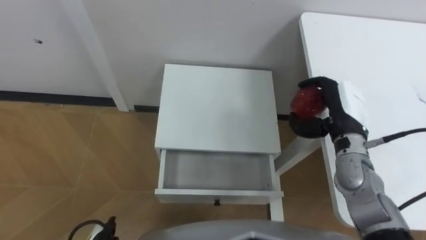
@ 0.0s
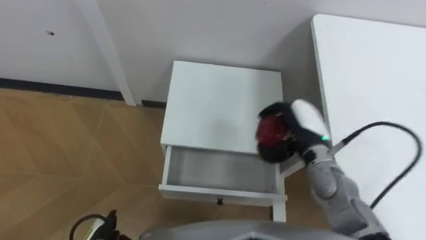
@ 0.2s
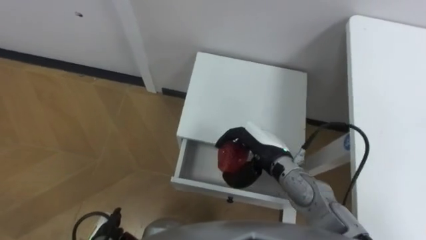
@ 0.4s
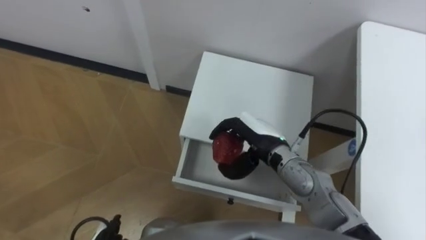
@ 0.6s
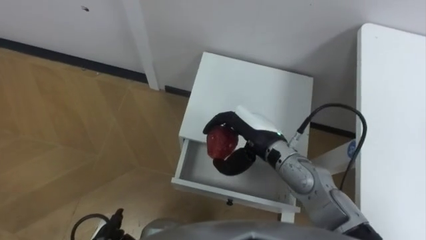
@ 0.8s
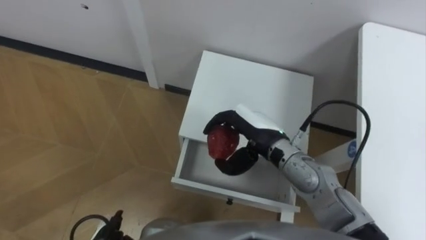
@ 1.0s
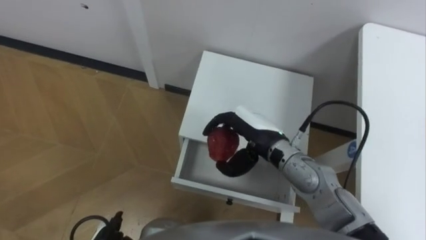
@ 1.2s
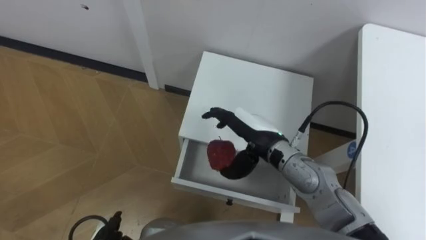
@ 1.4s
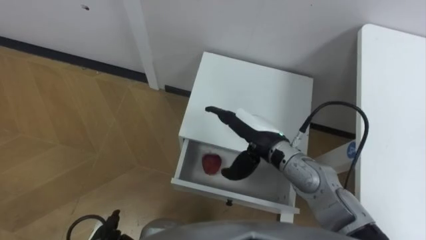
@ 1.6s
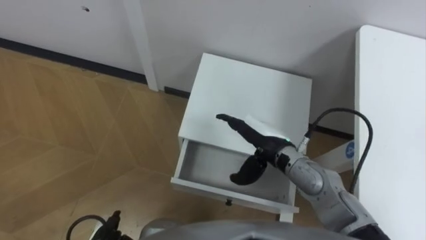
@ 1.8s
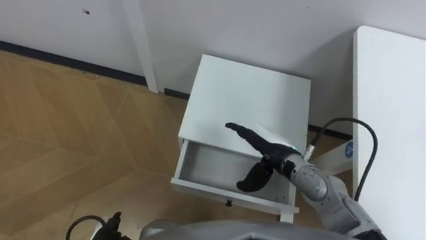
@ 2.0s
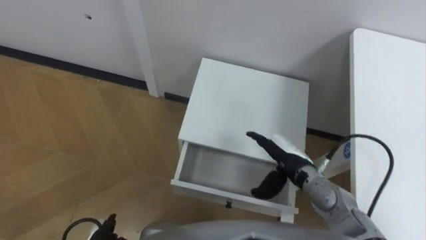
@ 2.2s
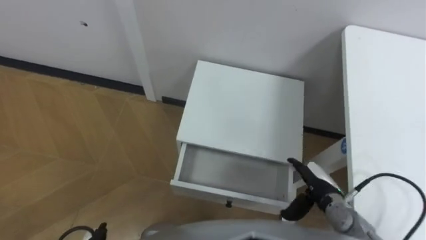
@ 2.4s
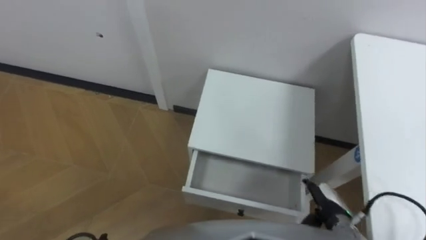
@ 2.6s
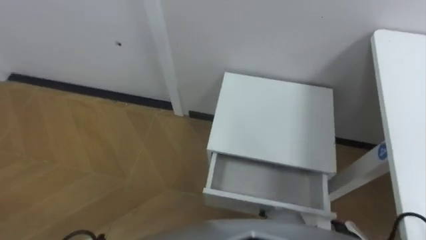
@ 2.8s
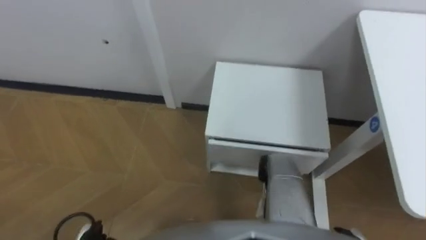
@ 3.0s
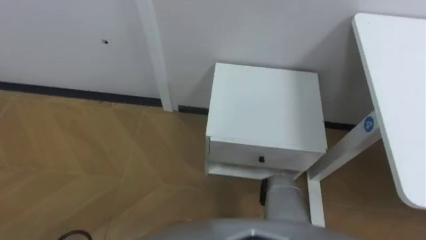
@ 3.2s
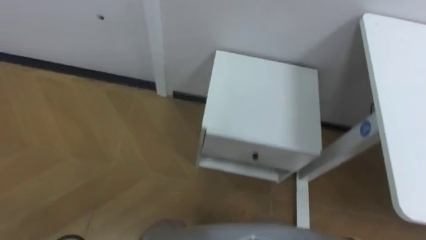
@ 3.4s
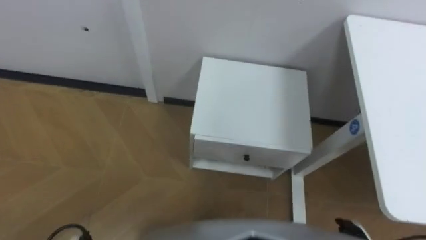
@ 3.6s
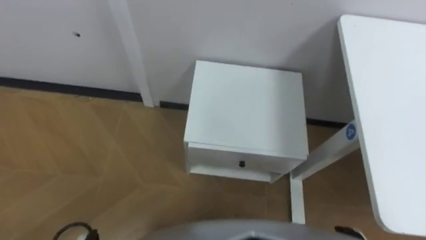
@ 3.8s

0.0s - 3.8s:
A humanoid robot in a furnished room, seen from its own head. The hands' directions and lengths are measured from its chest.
Task of the whole recording: Pick up the apple from the table, put it in the drawer, and close the drawer with leg.
0.0s - 1.2s: The right hand travels to the left by approximately 15 cm.
1.2s - 2.6s: The right hand travels to the right, downward and backward by roughly 25 cm.

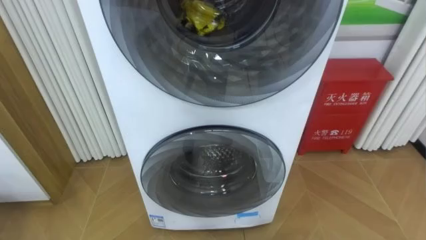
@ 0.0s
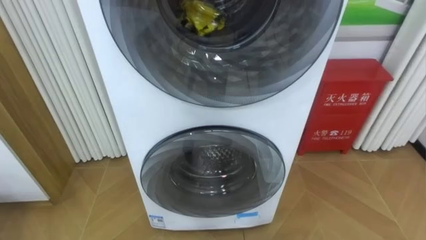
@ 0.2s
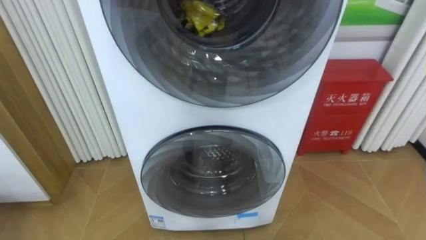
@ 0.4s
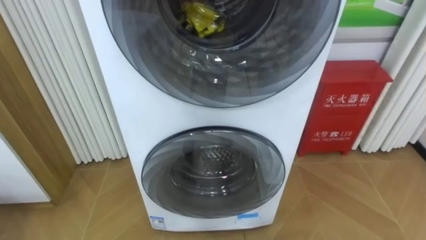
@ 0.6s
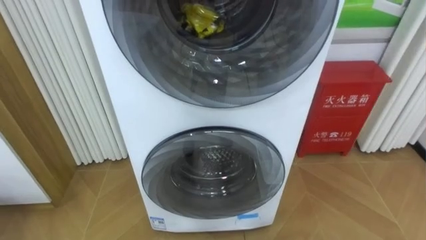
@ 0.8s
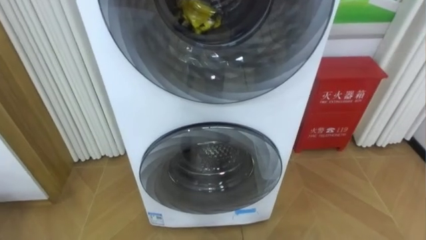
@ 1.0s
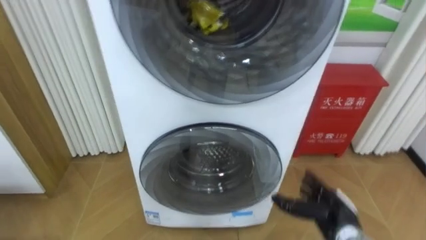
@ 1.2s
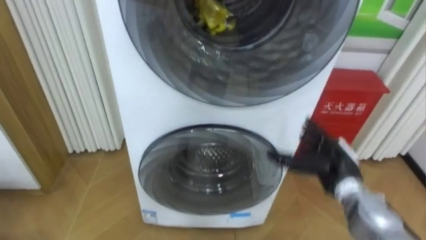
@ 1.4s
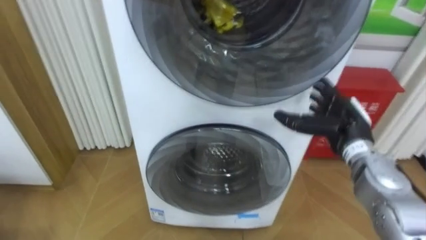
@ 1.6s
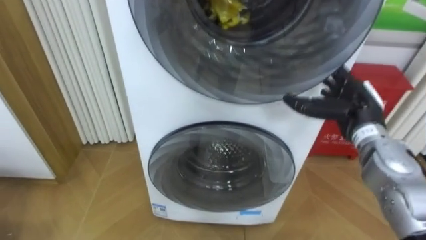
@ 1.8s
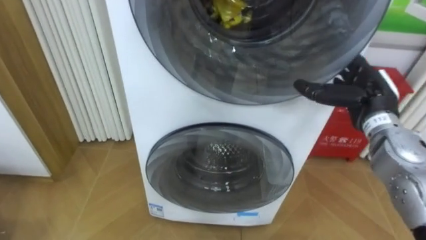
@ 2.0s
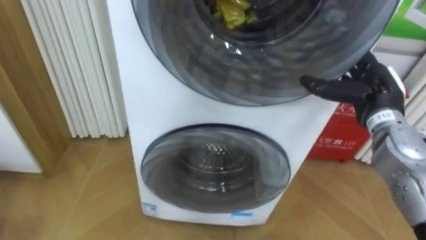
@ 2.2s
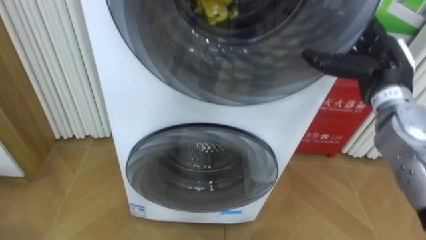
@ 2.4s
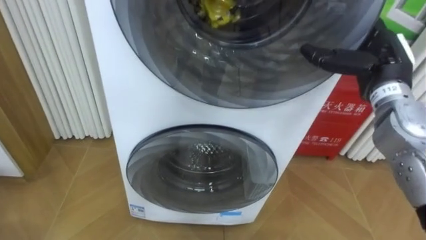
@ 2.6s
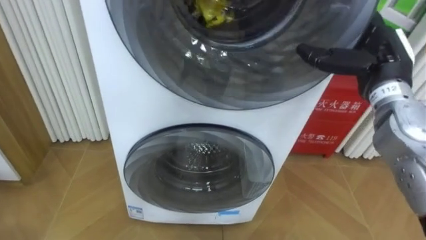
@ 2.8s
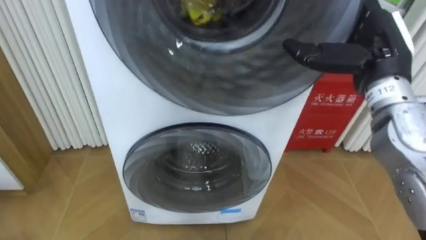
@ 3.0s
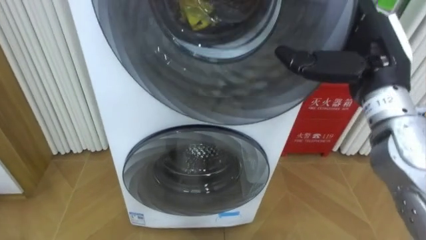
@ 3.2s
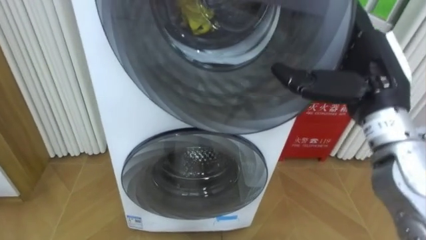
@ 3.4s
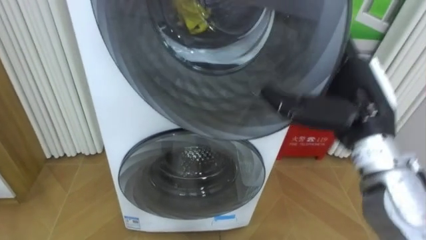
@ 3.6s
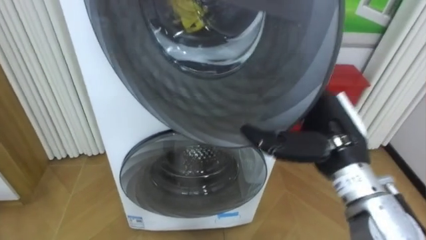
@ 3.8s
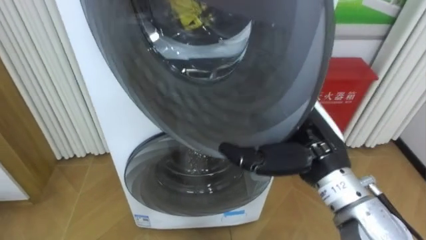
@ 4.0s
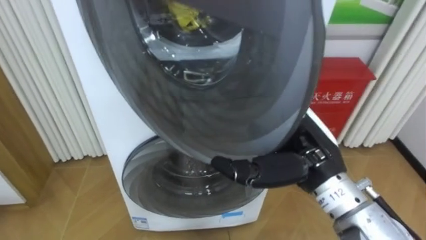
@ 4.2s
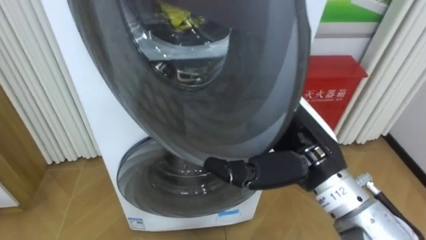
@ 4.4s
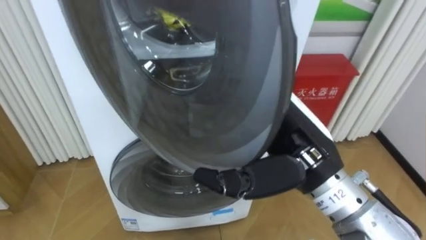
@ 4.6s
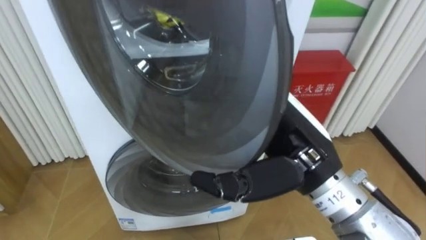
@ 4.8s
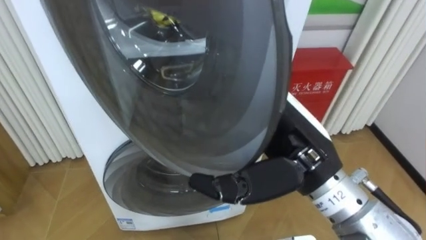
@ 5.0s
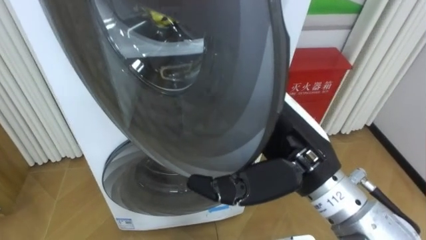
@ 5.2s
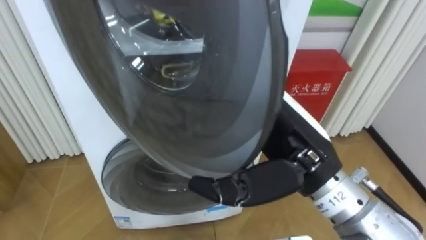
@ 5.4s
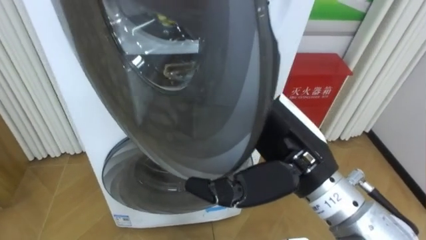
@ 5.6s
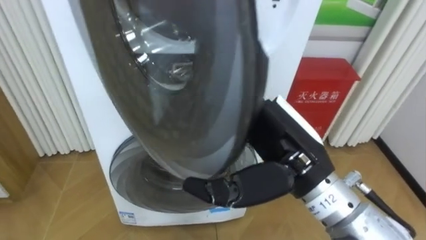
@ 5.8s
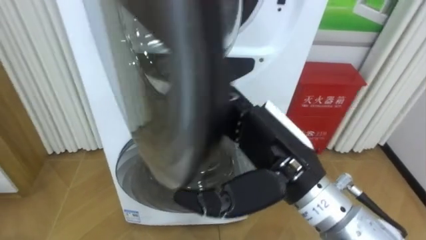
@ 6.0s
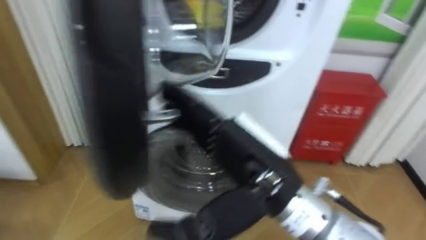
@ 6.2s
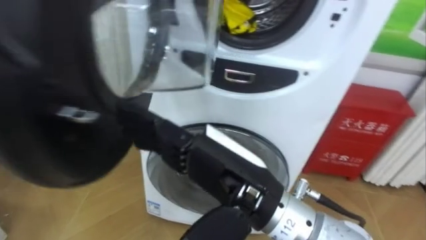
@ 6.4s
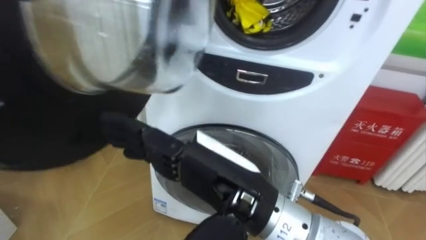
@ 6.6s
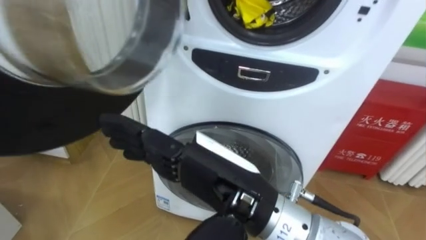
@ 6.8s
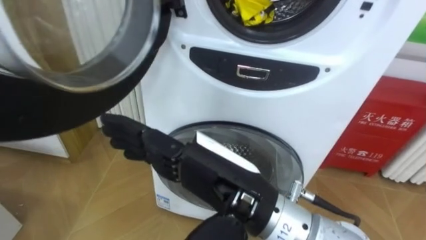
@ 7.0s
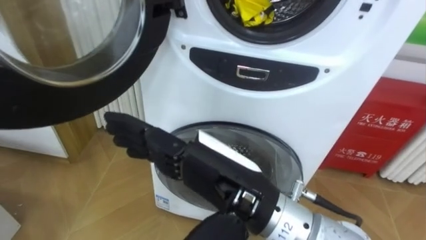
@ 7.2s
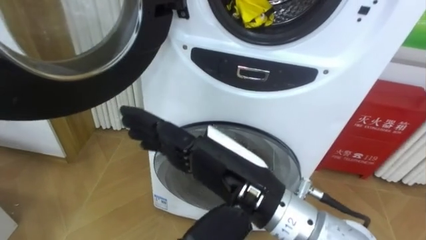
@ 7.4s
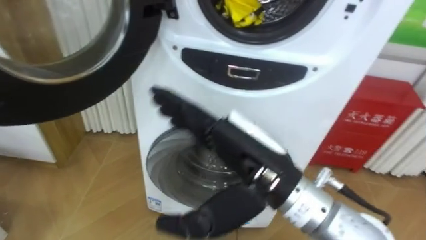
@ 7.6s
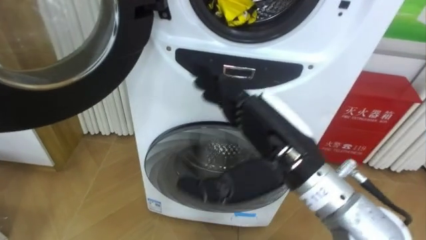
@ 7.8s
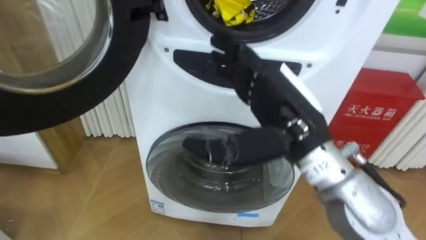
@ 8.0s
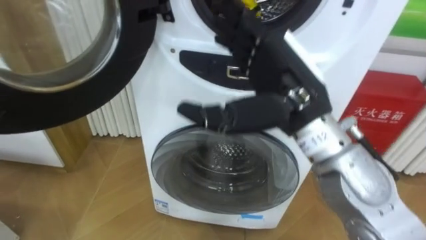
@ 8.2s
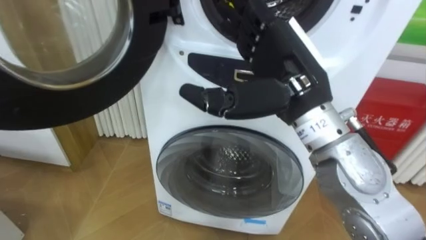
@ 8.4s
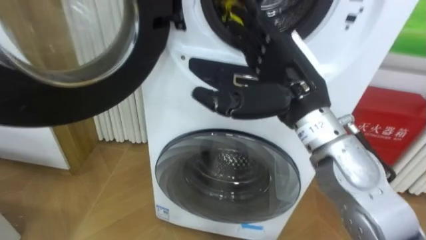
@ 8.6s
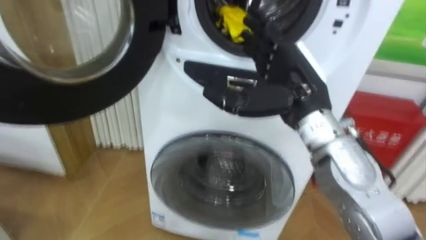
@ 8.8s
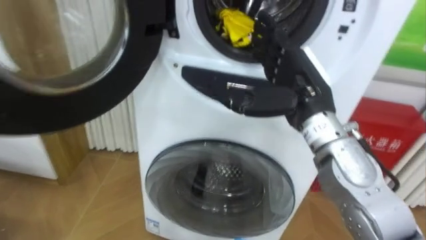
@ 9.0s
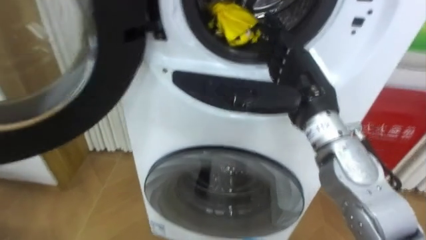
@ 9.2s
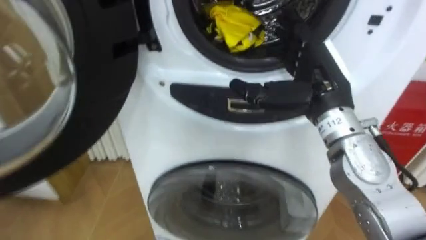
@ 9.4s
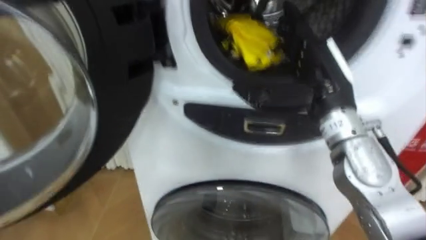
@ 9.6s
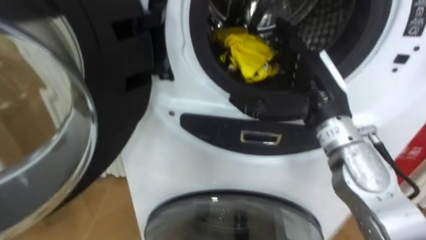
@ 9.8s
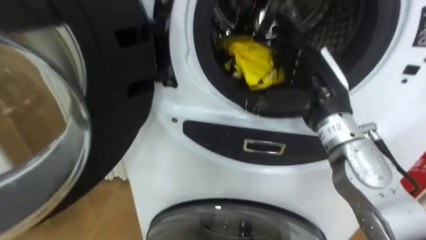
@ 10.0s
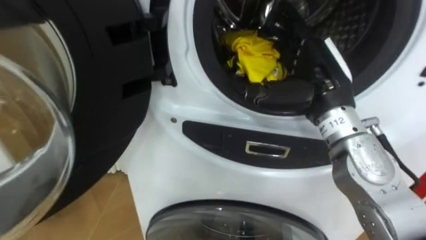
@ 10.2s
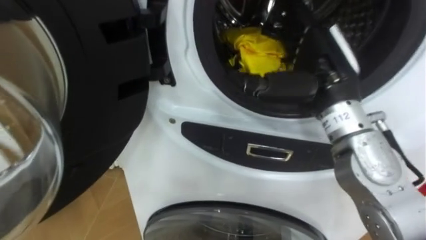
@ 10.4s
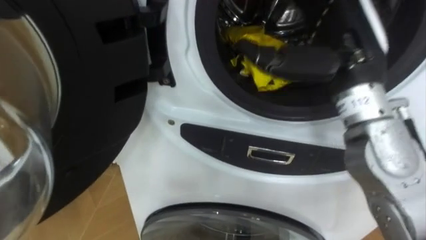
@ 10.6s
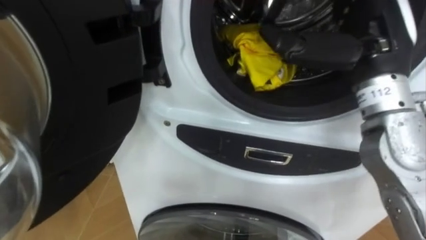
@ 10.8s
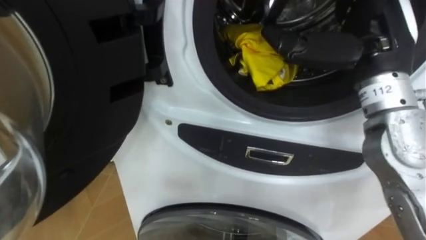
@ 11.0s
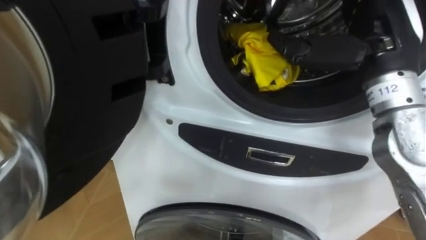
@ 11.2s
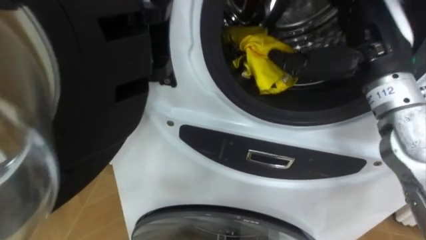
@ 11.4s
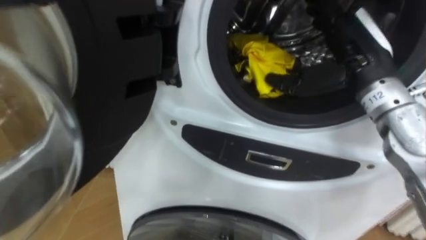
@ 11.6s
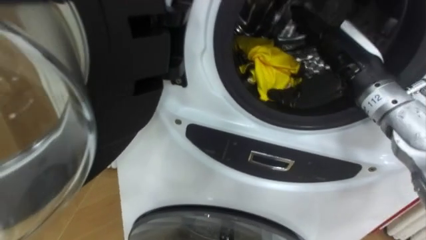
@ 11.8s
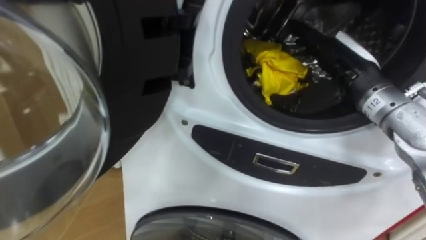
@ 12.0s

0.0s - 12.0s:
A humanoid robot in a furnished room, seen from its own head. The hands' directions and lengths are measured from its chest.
Task of the whole recording: Open the washing machine door, take out the yellow clothes, place them in the box on the right, and close the washing machine door.
1.6s - 3.0s: The right hand heads upward, covering some 15 cm.
3.0s - 4.4s: The right hand goes some 15 cm to the left, backward and downward.
4.4s - 6.0s: The right hand shifts by approximately 5 cm.
7.6s - 9.0s: The right hand is displaced forward and to the right by some 15 cm.
10.4s - 12.0s: The right hand travels to the right by some 5 cm.

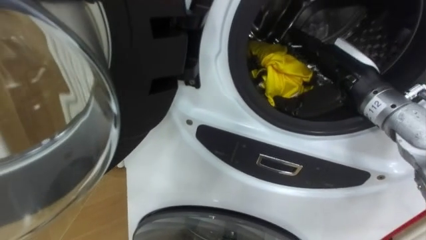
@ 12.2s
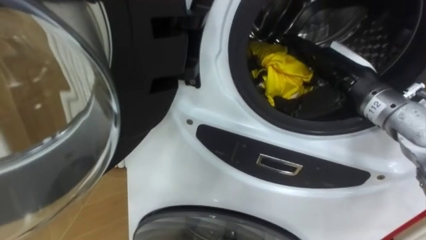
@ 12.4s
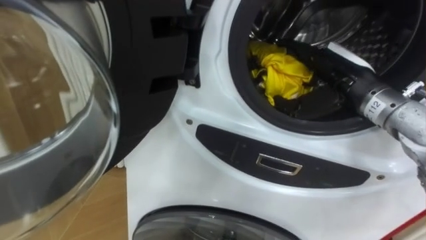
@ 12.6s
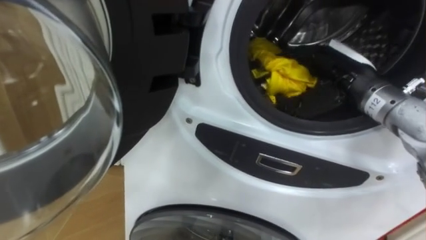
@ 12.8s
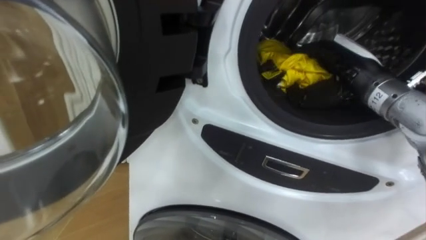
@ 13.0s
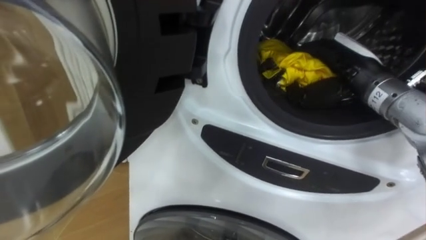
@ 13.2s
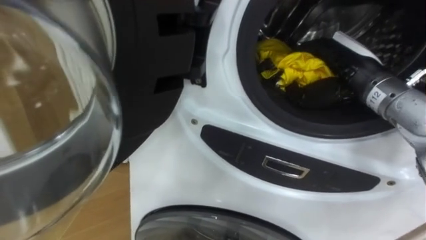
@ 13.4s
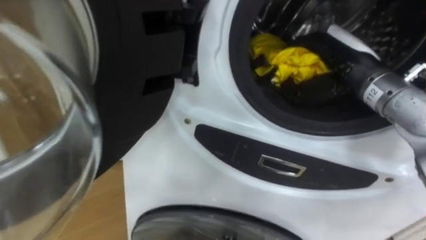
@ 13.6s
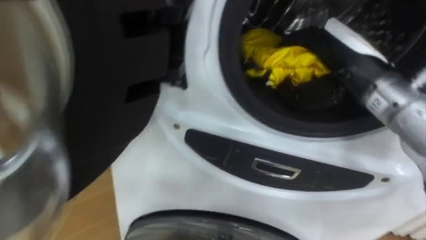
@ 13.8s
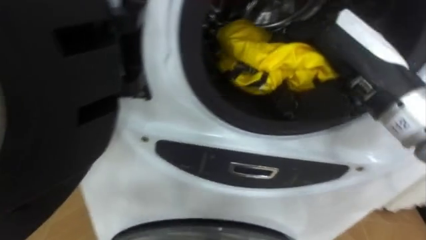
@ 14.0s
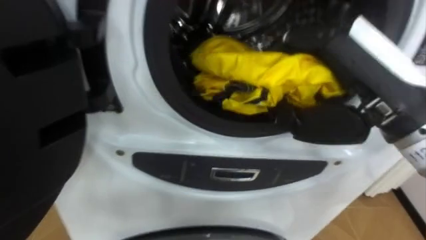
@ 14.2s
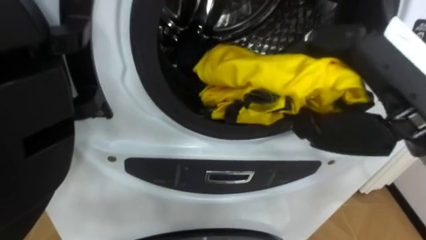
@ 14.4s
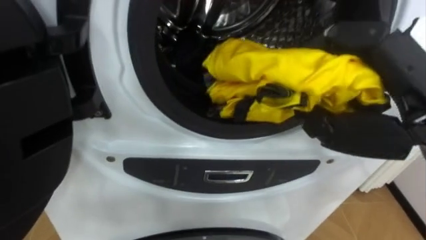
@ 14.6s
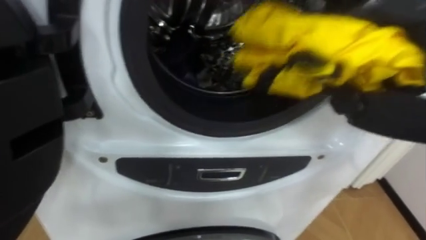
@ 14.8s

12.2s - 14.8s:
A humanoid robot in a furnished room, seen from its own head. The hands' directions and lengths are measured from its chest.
Task of the whole recording: Open the washing machine door, take out the yellow clothes, place them in the box on the right, and close the washing machine door.
12.2s - 13.4s: The right hand closes up.
